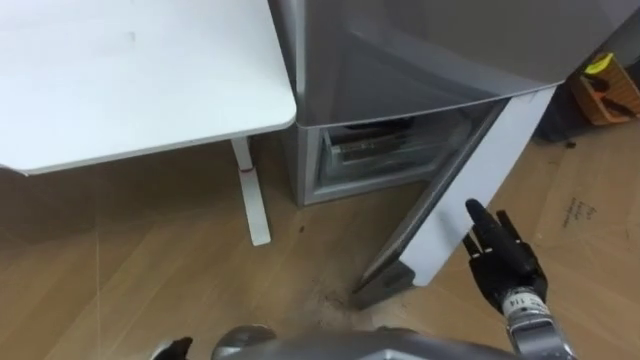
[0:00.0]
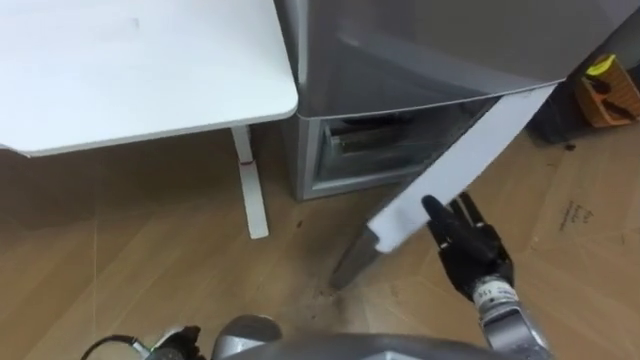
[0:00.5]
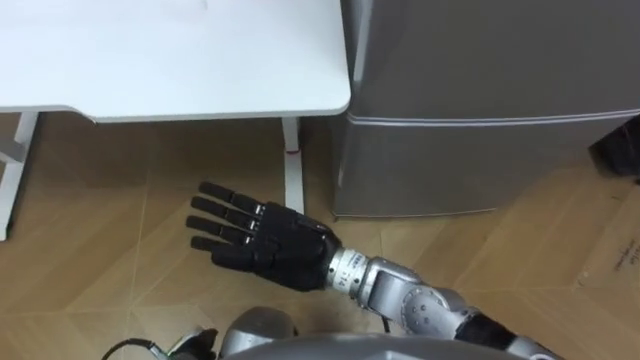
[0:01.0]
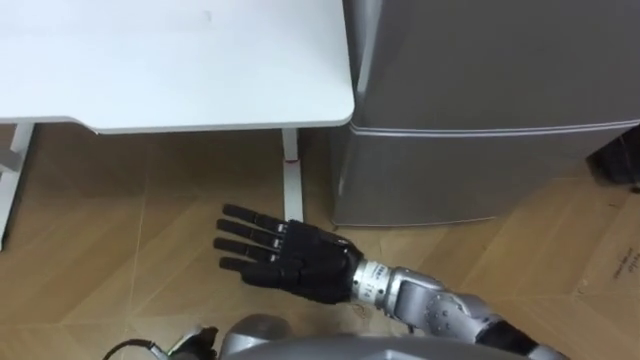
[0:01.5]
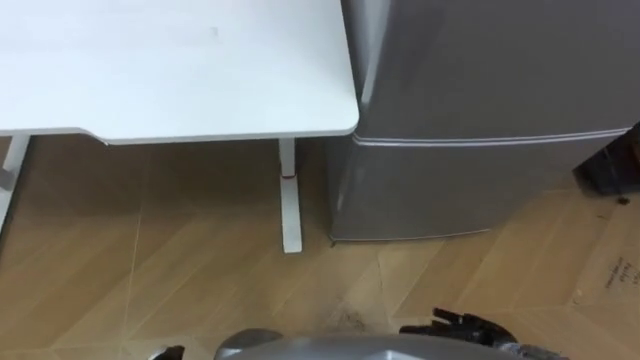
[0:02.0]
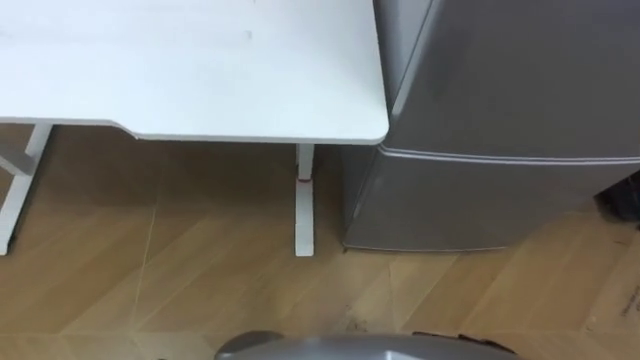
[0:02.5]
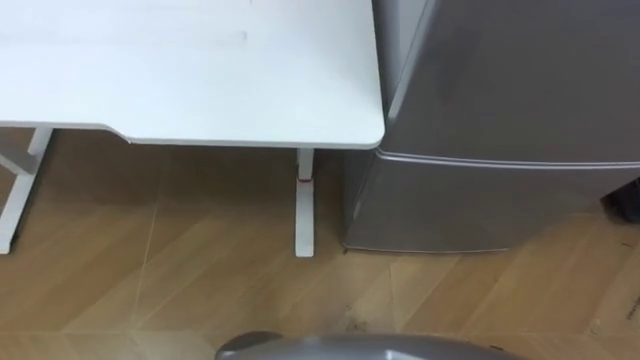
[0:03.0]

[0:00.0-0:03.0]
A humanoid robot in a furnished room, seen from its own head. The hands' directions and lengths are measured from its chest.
Task of the whole recording: Place the drink on the table on the bottom shelf of the refrigerator, then close the drawer and the refrigerator door.
0:00.0 to 0:01.5: The right hand shifts approximately 30 cm to the left.

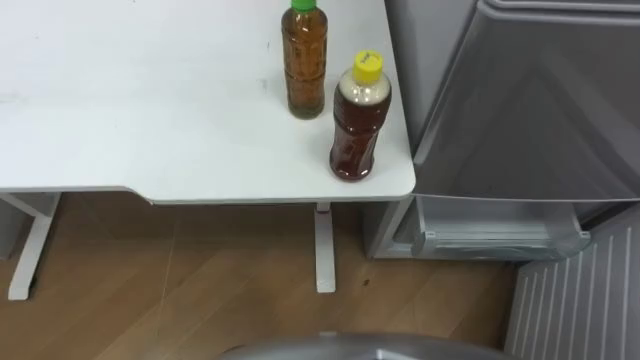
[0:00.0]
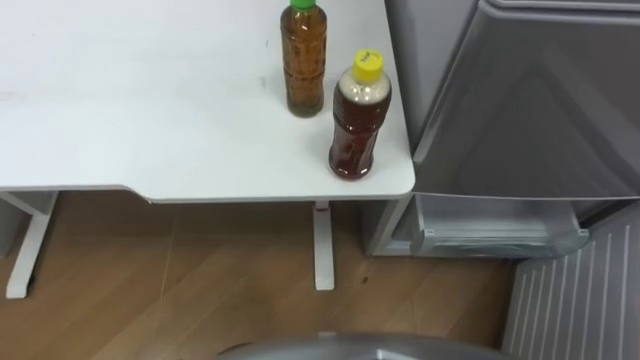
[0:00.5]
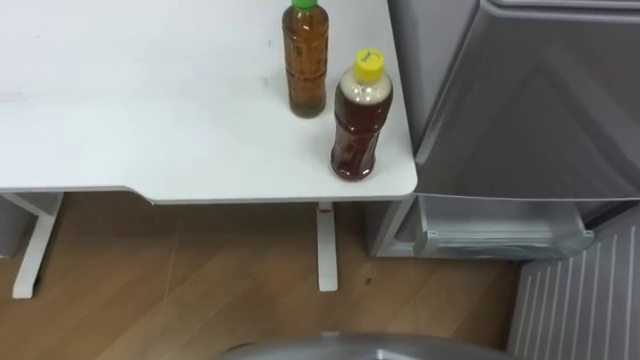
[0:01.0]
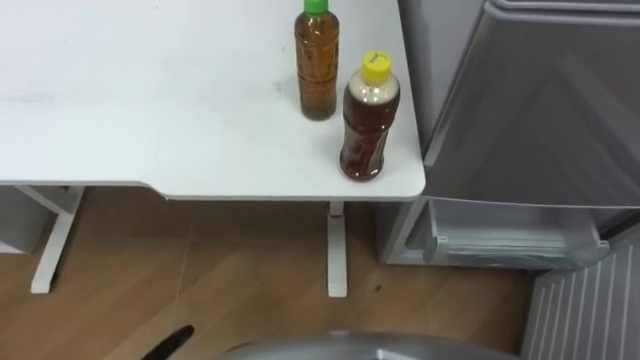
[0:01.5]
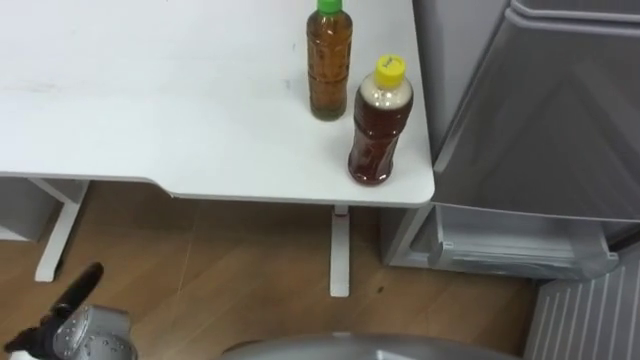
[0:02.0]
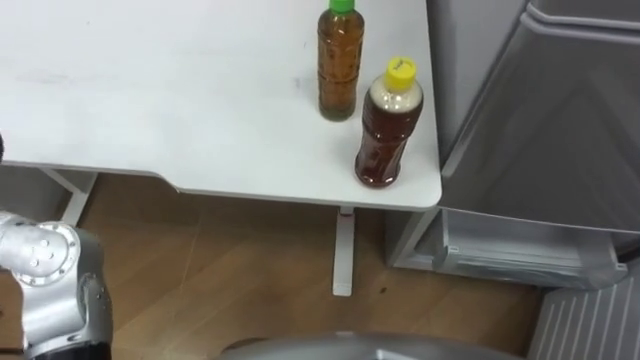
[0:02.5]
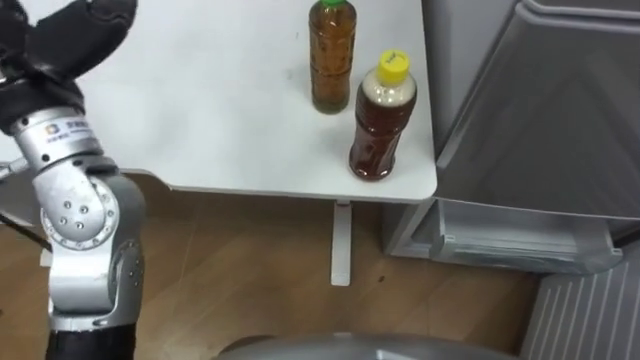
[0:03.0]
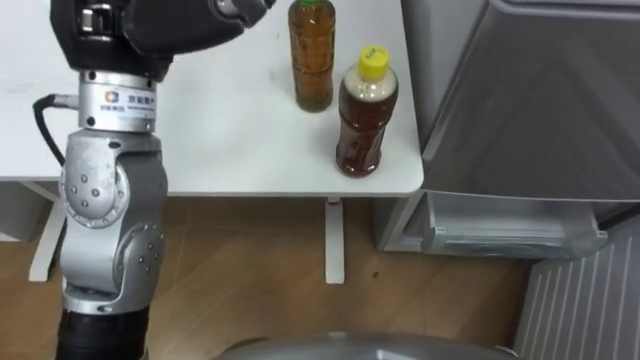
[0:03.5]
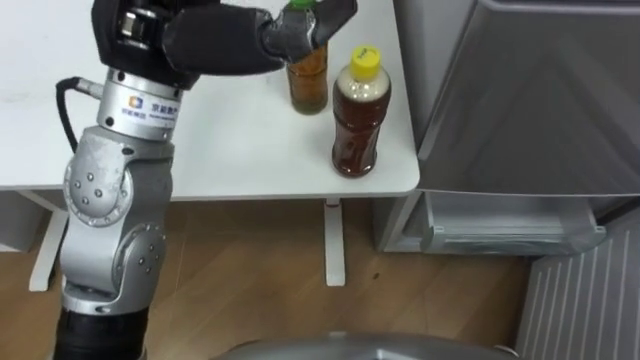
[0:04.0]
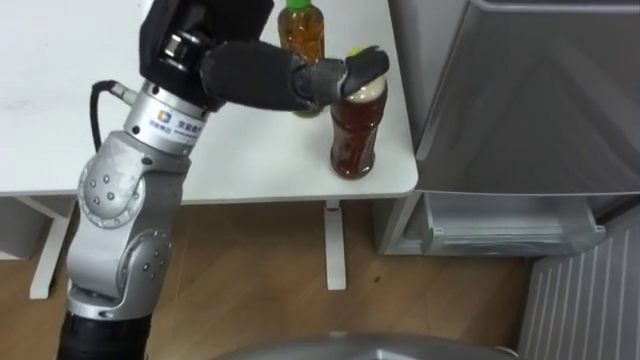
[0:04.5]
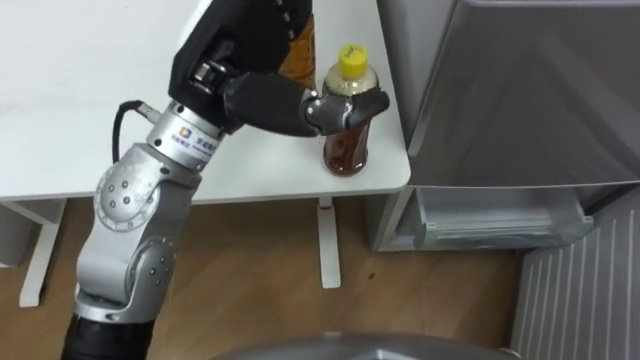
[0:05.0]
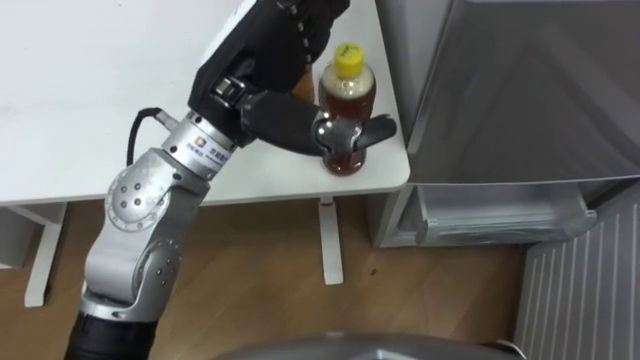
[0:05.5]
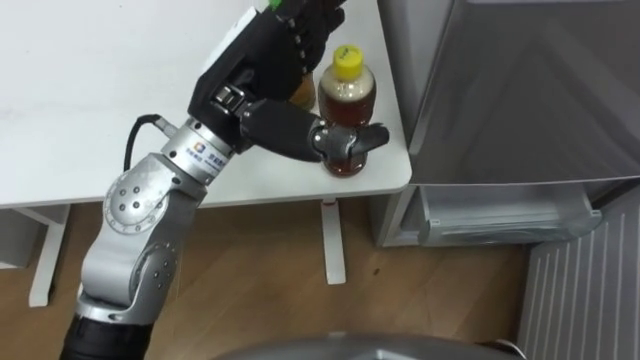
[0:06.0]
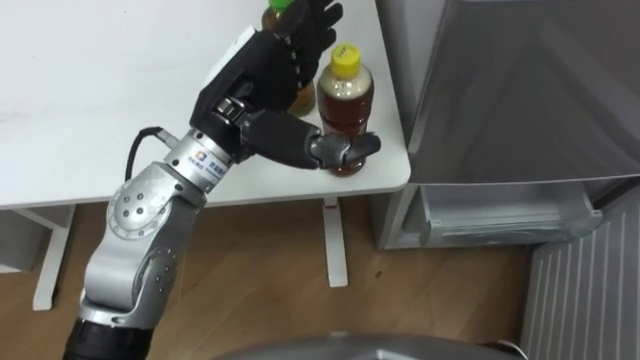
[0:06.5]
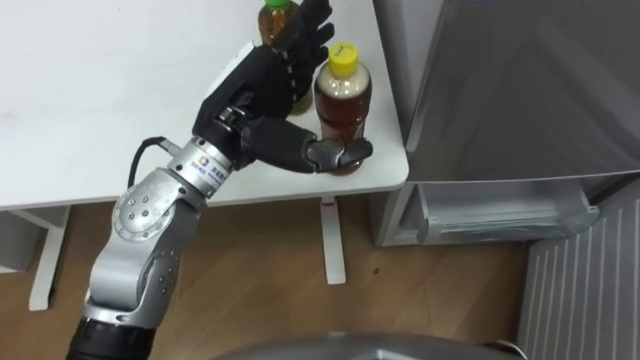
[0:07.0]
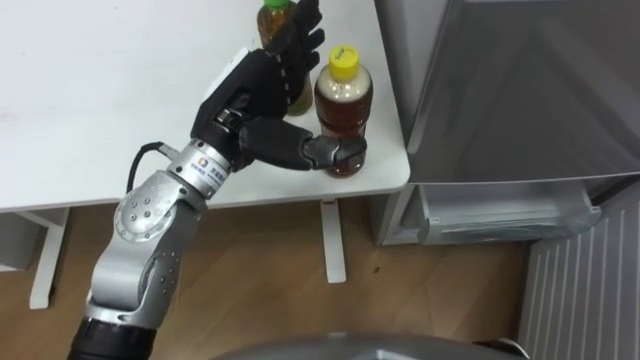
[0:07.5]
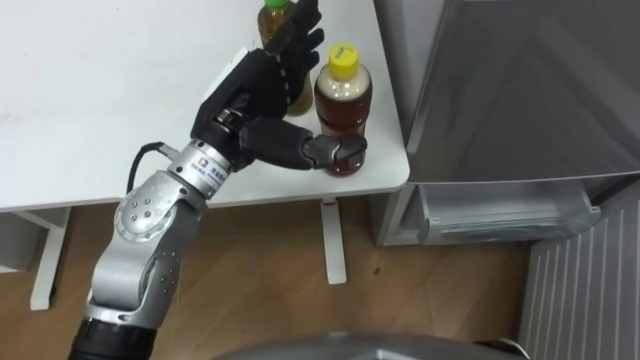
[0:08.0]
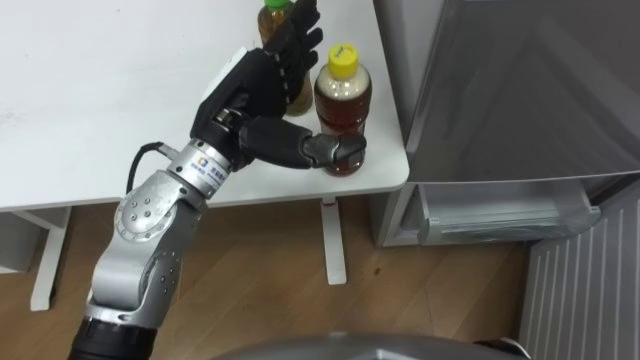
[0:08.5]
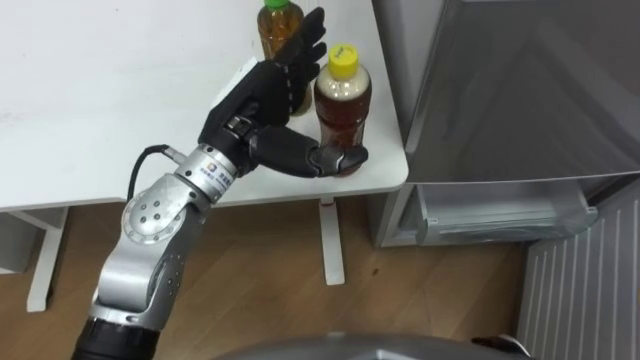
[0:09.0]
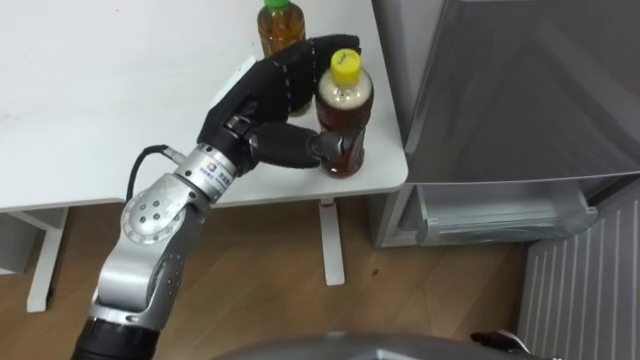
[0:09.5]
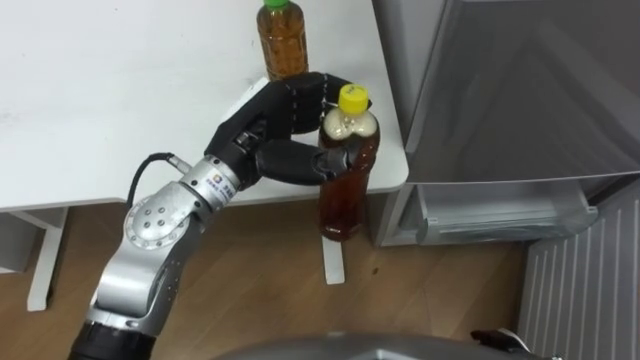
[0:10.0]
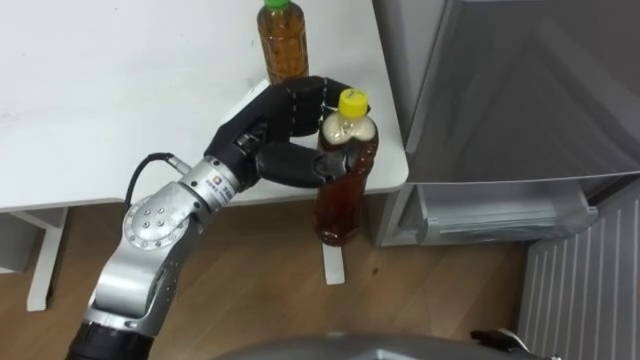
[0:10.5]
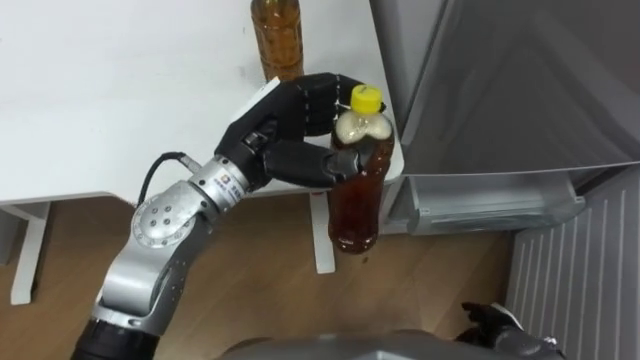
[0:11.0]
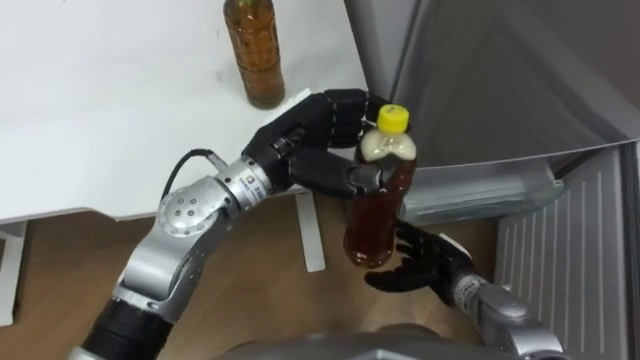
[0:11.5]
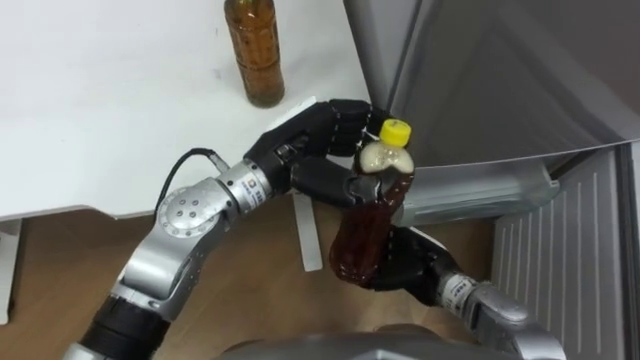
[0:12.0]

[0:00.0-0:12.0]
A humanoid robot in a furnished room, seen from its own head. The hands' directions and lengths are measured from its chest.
Task of the whole recording: Place the drink on the table on the bottom shelf of the refrigerator, then close the drawer and the refrigerator door.
0:04.0 to 0:06.0: The left hand moves downward, some 10 cm.
0:06.0 to 0:08.0: The left hand heads downward, covering about 5 cm.
0:08.0 to 0:10.0: The left hand closes its fingers.
0:10.0 to 0:12.0: The right hand travels to the left, forward and upward by some 20 cm.

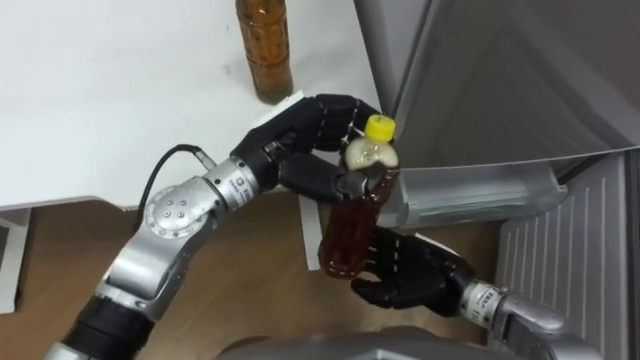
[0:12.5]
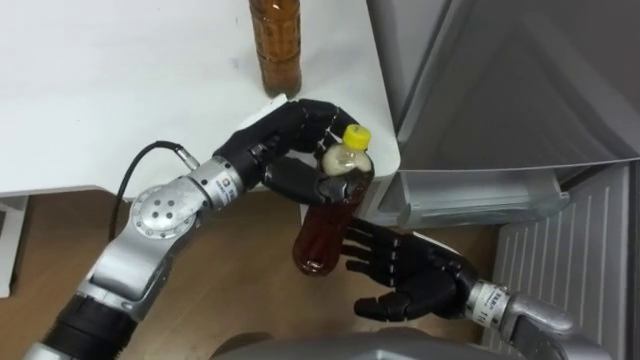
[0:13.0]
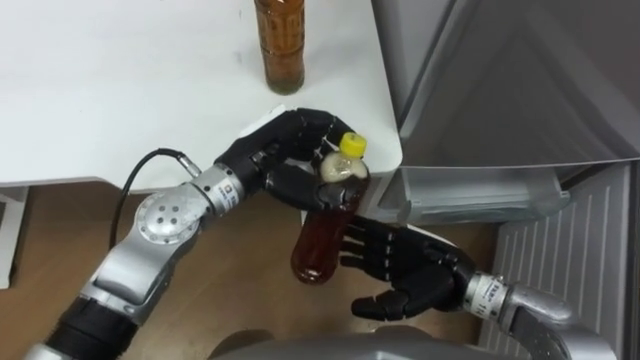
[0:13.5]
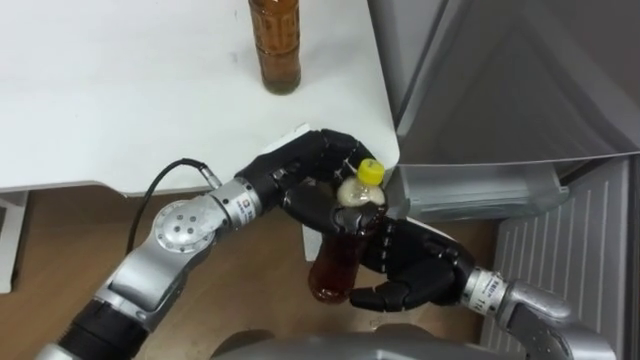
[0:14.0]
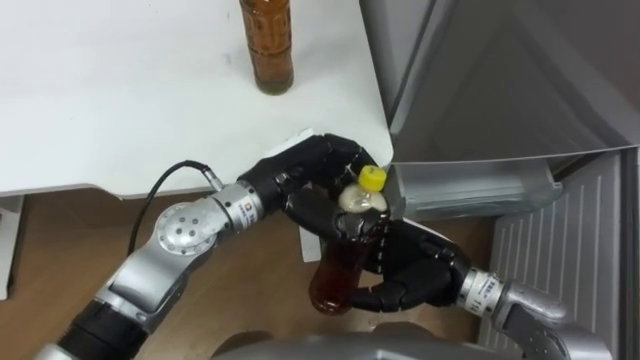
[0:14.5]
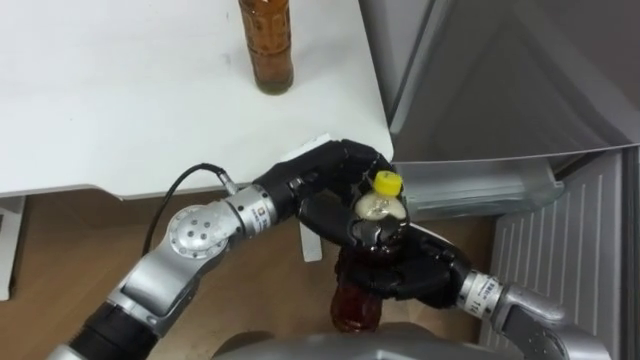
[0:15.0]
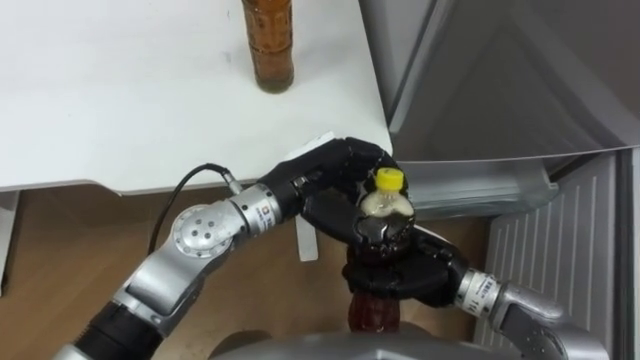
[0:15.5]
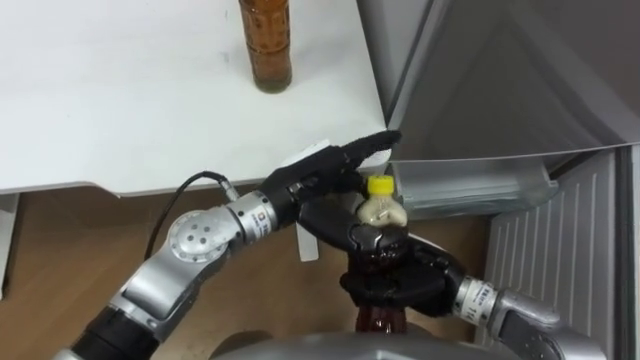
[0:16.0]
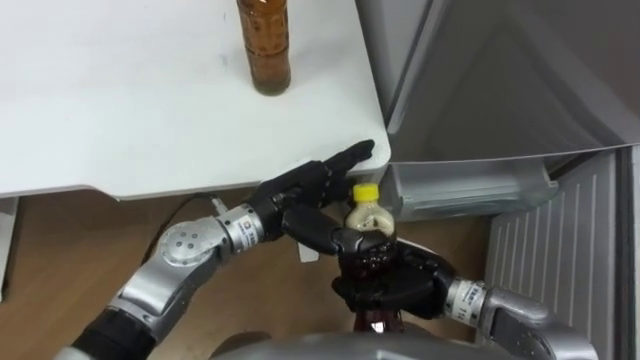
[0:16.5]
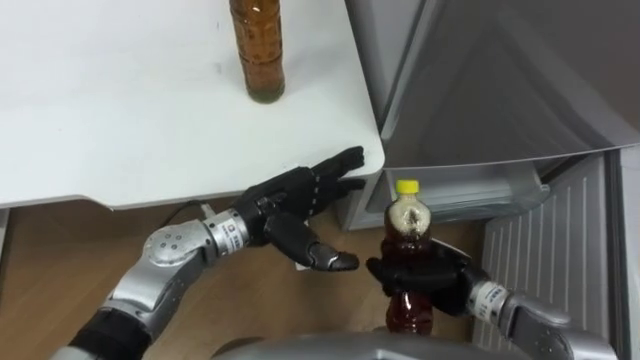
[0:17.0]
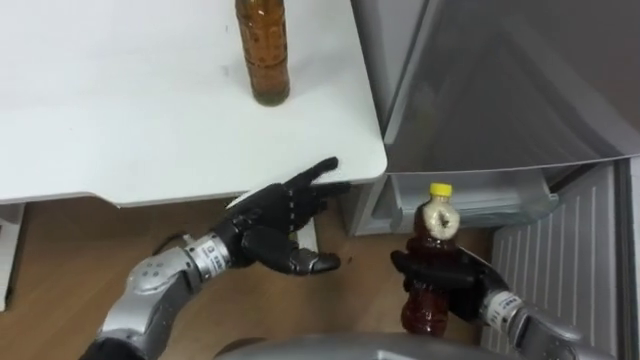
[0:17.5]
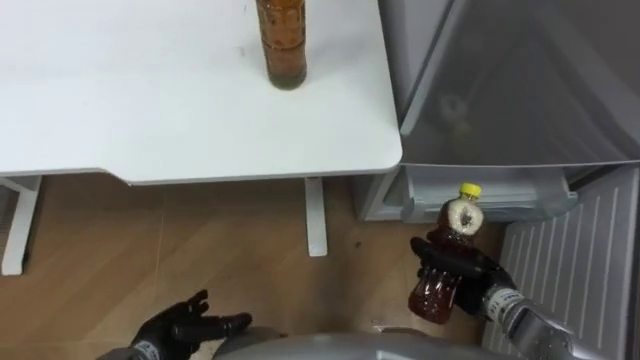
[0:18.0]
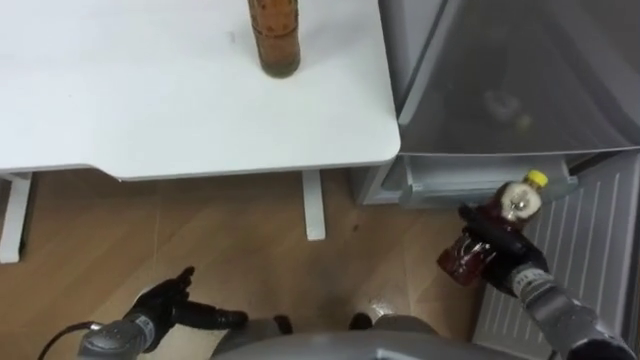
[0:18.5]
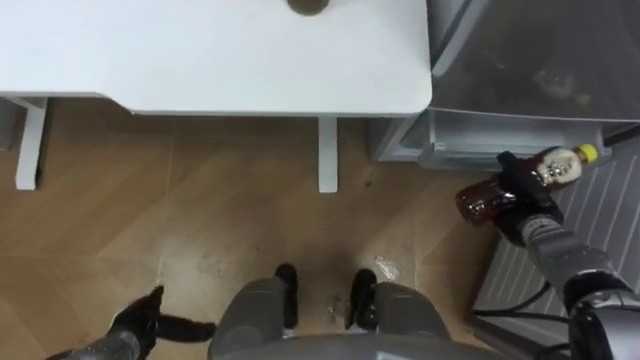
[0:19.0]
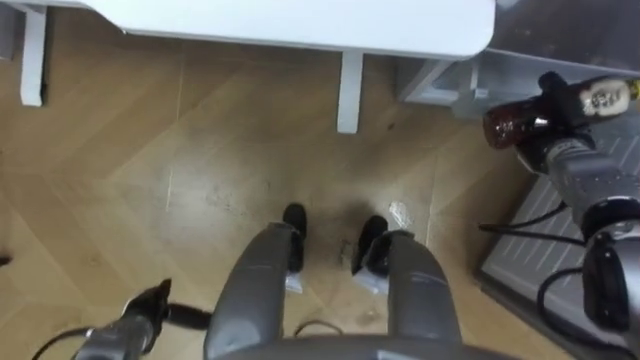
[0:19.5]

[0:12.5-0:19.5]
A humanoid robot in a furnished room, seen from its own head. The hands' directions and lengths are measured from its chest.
Task of the whole recording: Place the drink on the table on the bottom shelf of the refrigerator, then close the drawer and the refrigerator door.
0:14.5 to 0:16.0: The right hand closes. Meanwhile the left hand opens.
0:16.0 to 0:17.5: The left hand moves downward and to the left, approximately 10 cm; the right hand heads to the right and downward, covering roughly 10 cm.
0:17.5 to 0:19.5: The right hand moves forward and to the right, roughly 20 cm. The left hand heads to the left, downward and backward, covering approximately 25 cm.
